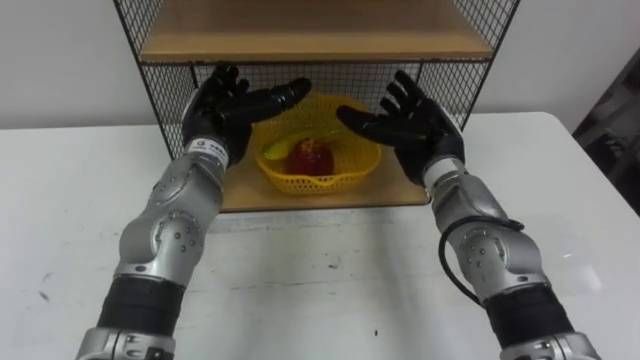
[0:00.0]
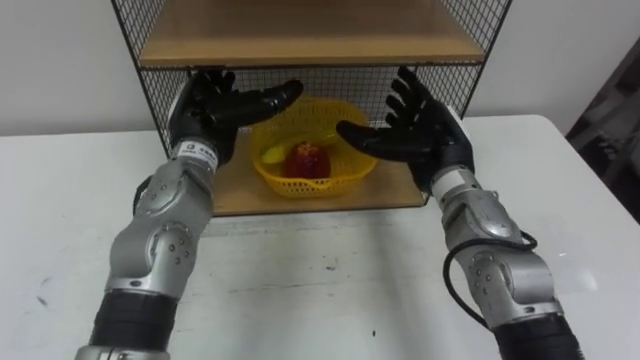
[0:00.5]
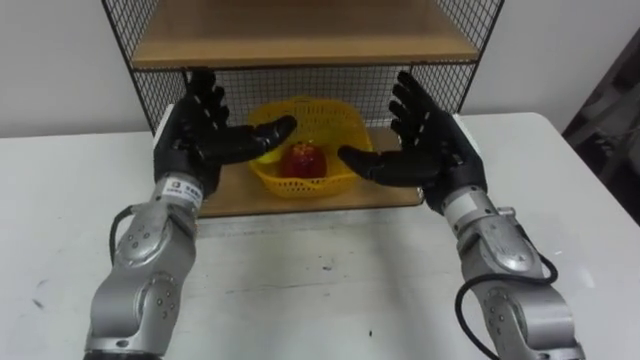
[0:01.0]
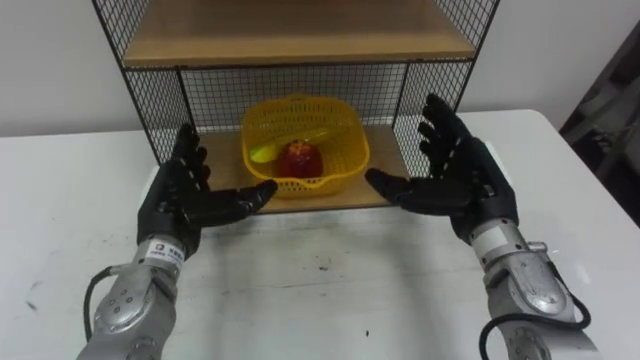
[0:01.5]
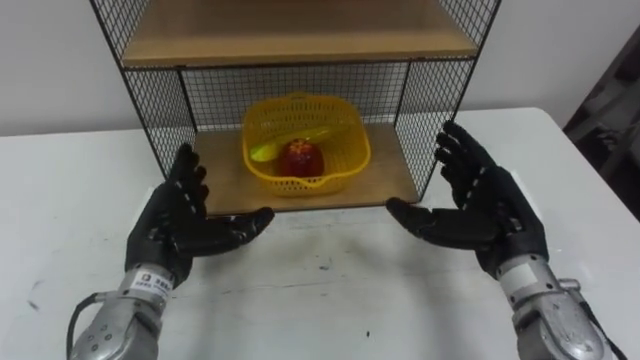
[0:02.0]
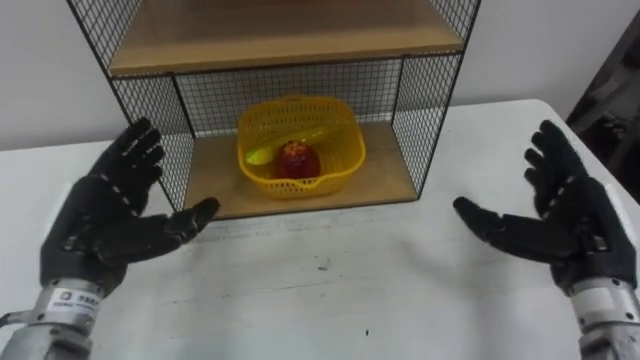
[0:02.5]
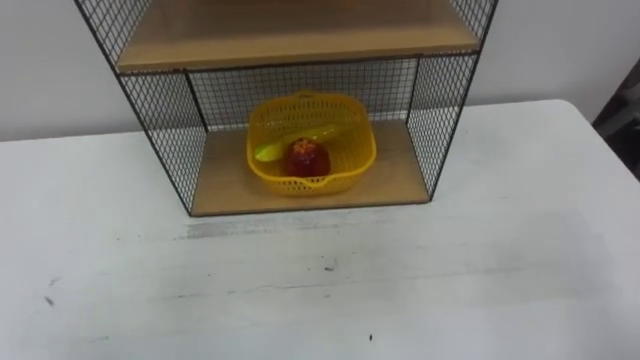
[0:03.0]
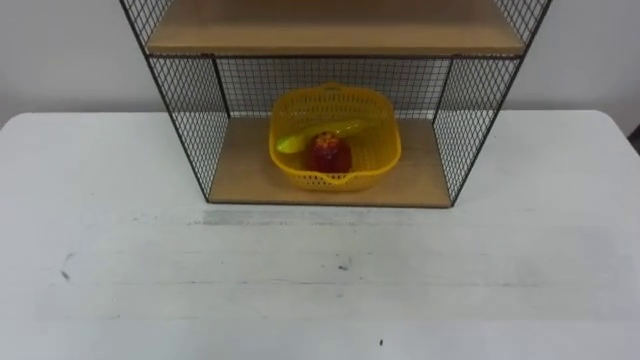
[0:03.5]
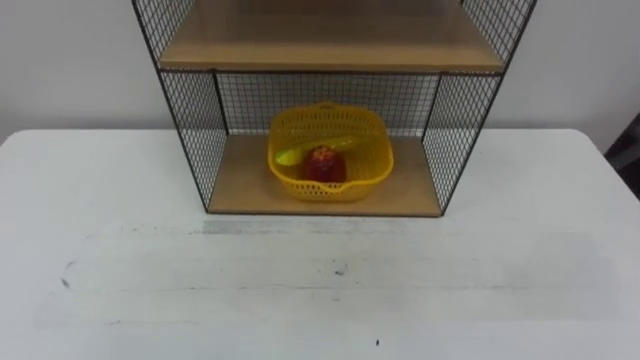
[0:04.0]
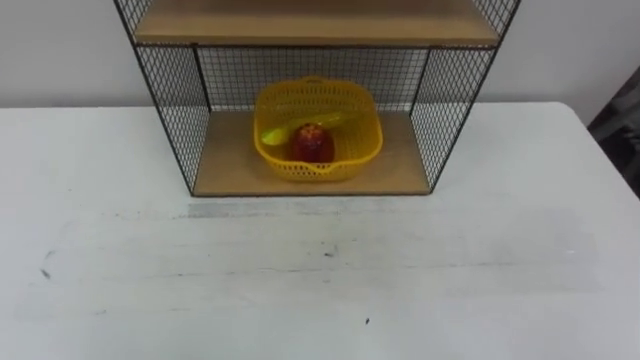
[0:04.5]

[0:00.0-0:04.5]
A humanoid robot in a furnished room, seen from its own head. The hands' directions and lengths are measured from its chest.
Task of the whole recording: Put the fruit on the table into the basket, then place the basket on the shelf.
0:00.0 to 0:02.0: The left hand travels backward, downward and to the left by approximately 15 cm; the right hand shifts roughly 15 cm backward and to the right.

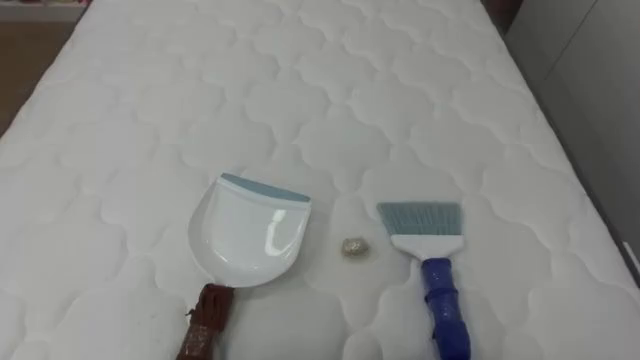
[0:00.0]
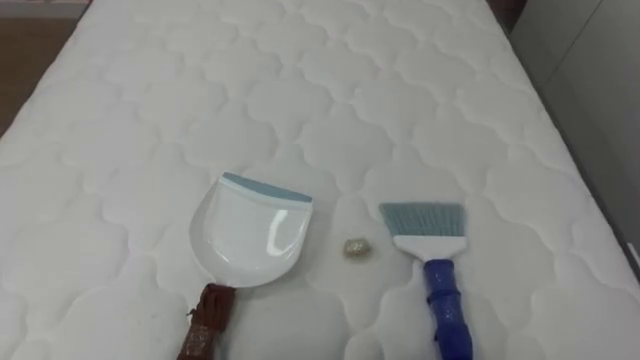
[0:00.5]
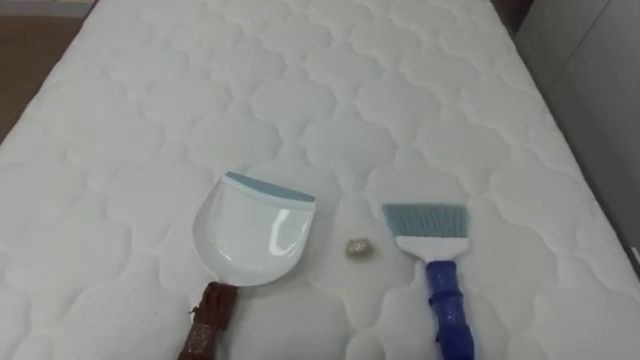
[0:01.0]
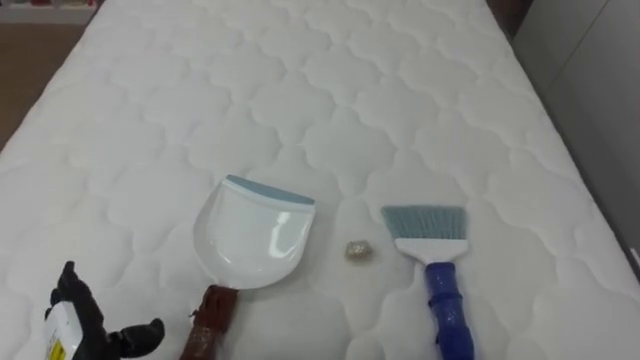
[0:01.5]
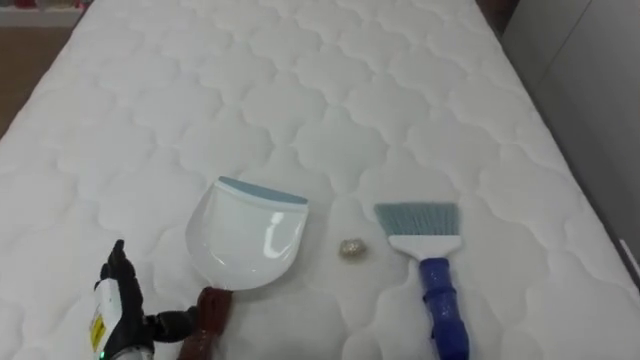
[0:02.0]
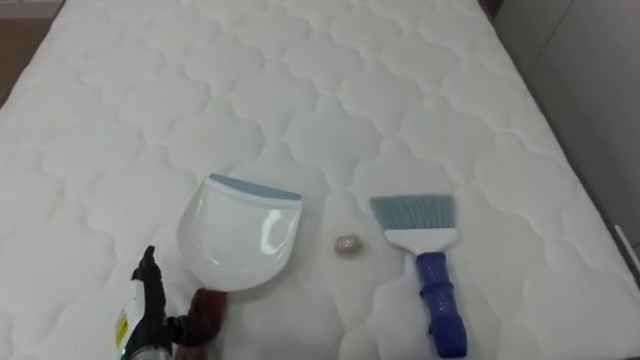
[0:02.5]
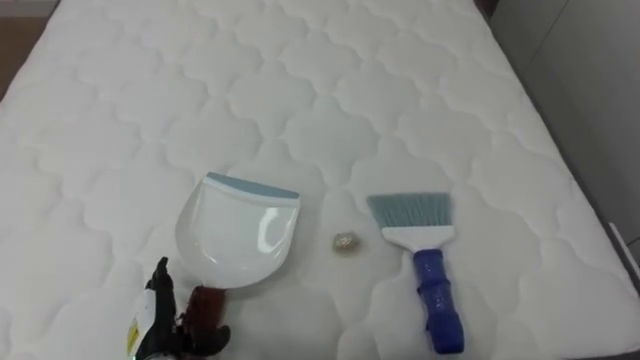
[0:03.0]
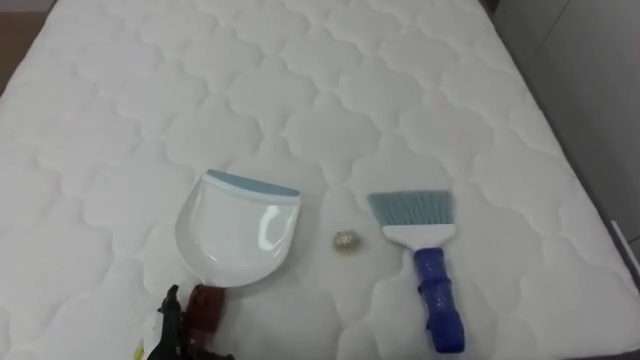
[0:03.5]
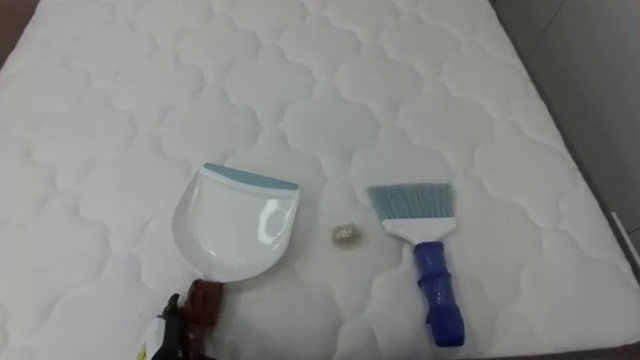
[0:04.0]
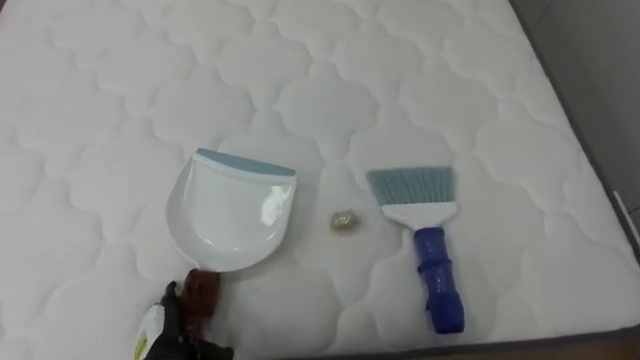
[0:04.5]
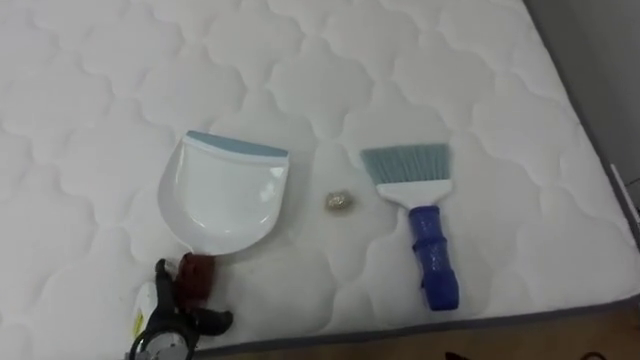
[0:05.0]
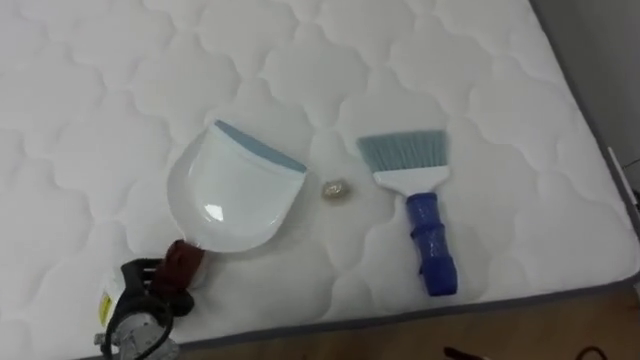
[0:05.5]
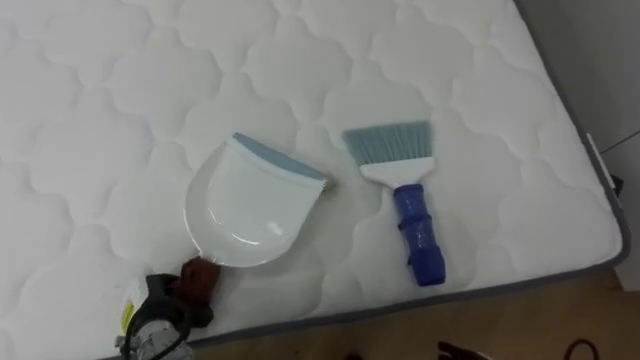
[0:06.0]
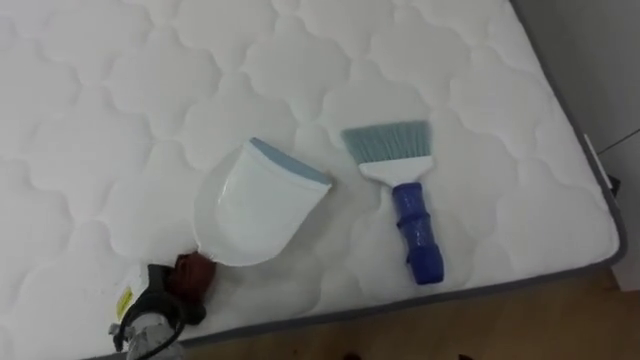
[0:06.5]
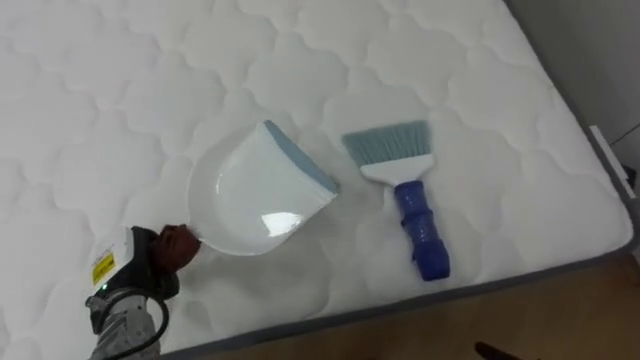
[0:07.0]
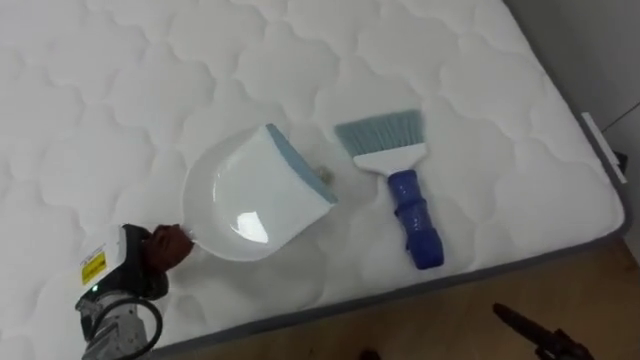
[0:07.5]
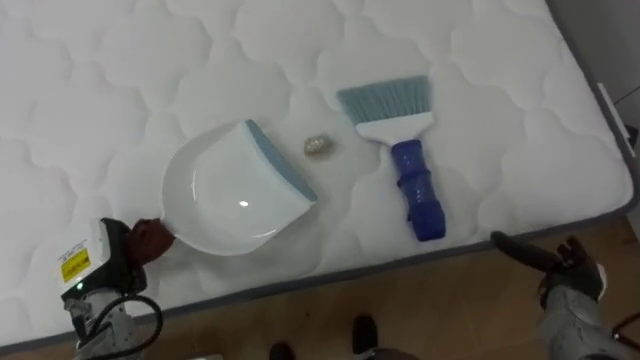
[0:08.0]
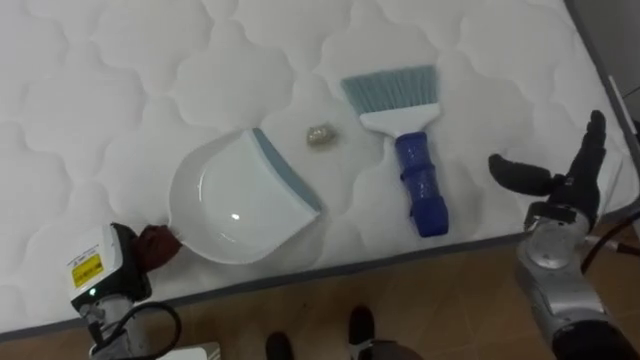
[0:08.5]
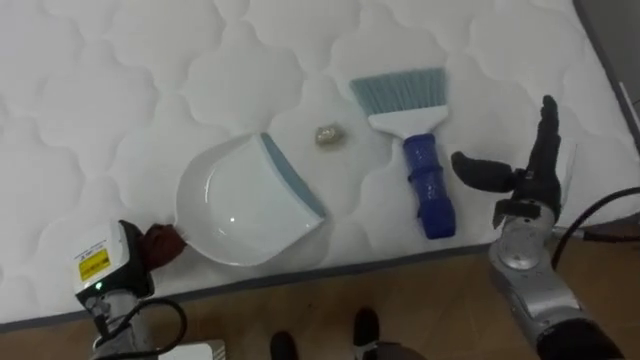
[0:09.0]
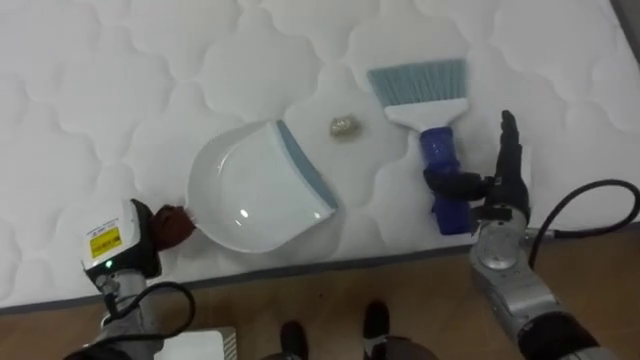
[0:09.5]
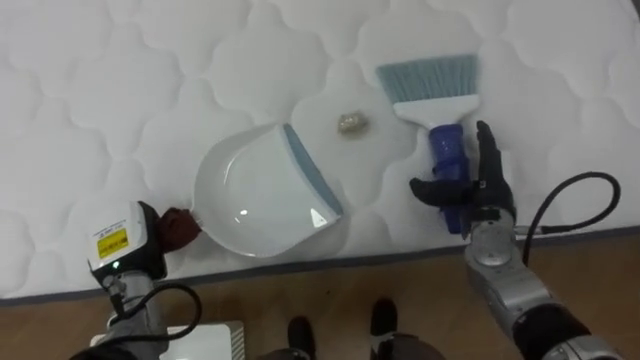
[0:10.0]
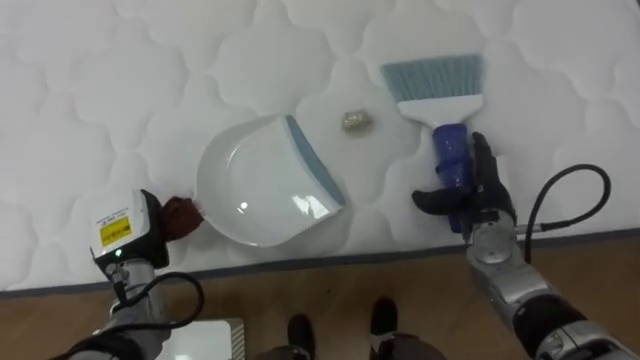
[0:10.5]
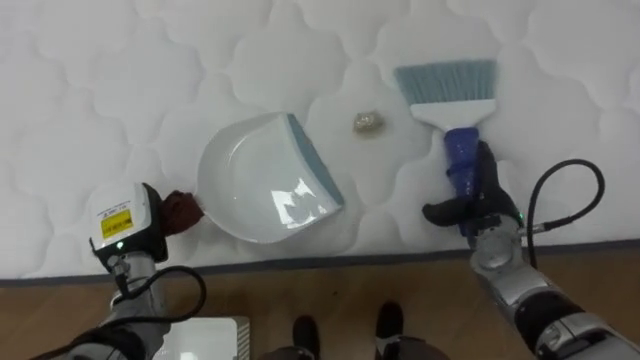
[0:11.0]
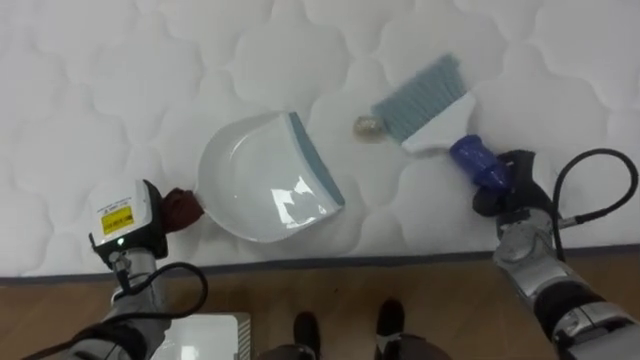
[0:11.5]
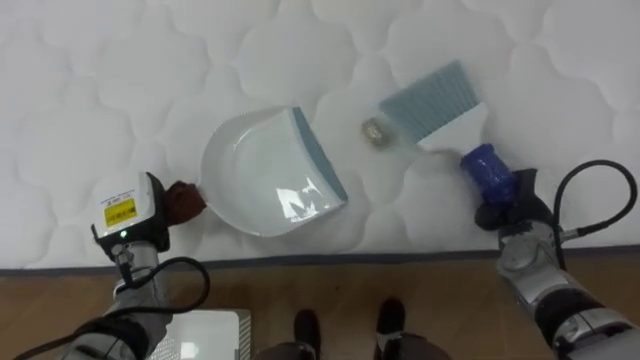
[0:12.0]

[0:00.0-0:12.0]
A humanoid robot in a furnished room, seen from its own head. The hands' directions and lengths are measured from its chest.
Task of the whole recording: Pick up the brush on your right and the dustpan on your left. Use the brush to sweep the crumpled paper on the bed into the dustpan, then turn left and empty it into the basket.
0:04.0 to 0:06.0: The left hand goes about 5 cm forward, and closes its fingers.
0:06.0 to 0:08.0: The left hand travels upward and to the left by roughly 10 cm.
0:08.0 to 0:10.0: The right hand shifts some 20 cm to the left, forward and upward.
0:10.0 to 0:12.0: The right hand moves to the right, some 5 cm, and closes.

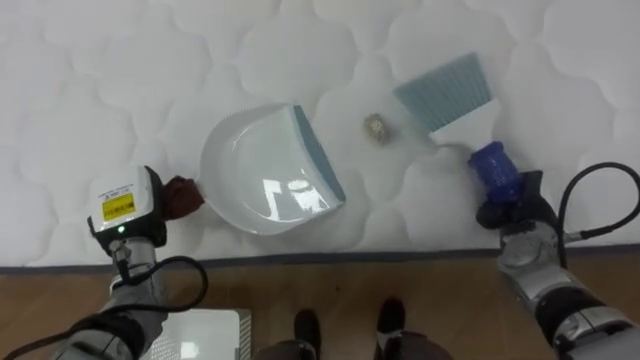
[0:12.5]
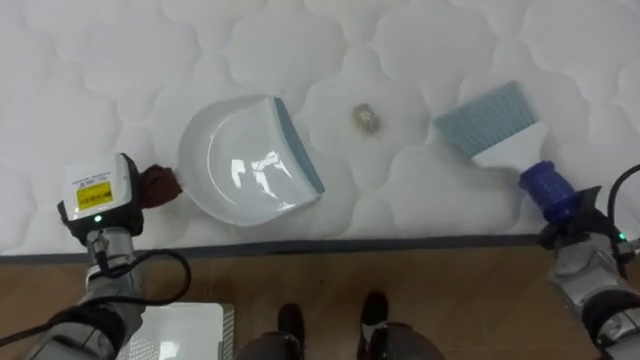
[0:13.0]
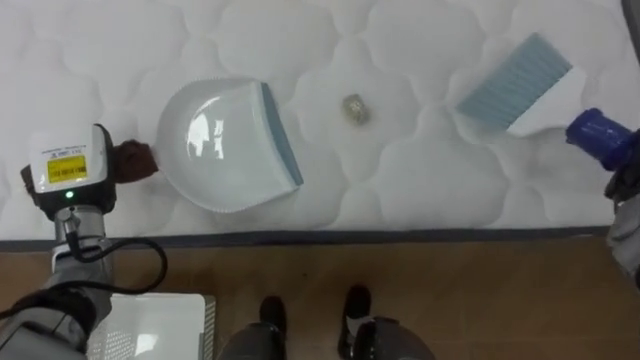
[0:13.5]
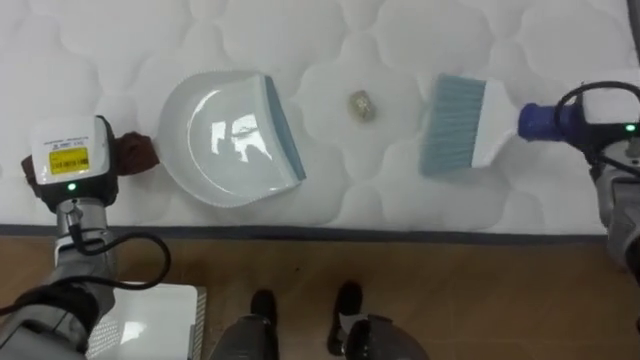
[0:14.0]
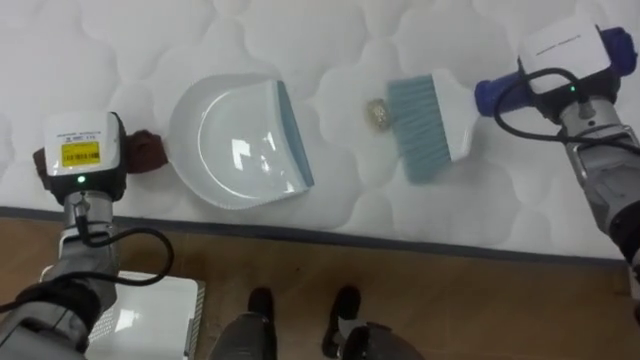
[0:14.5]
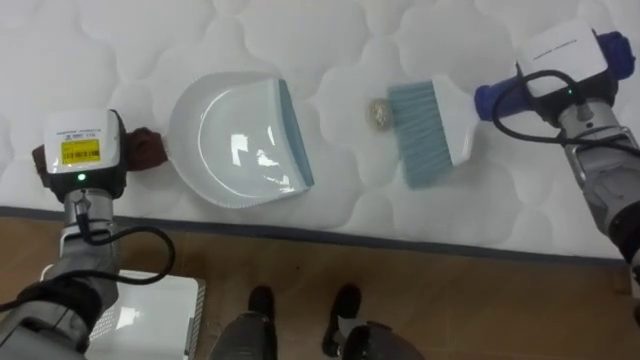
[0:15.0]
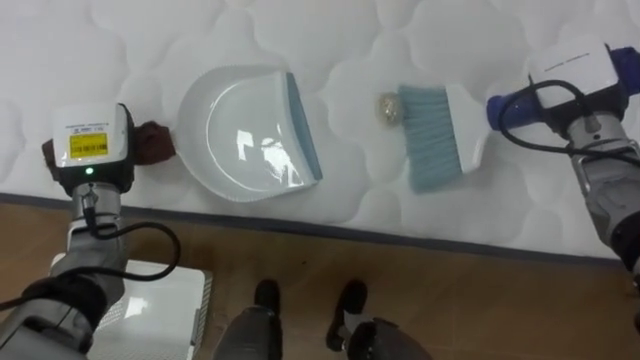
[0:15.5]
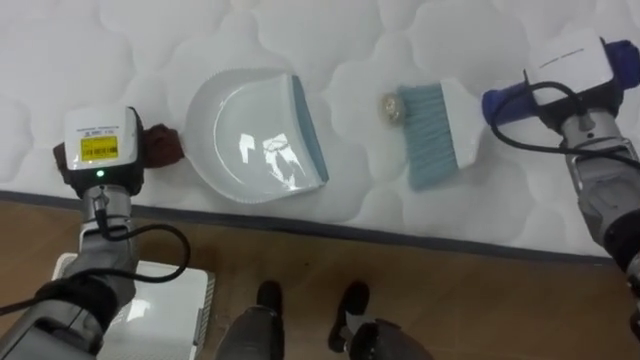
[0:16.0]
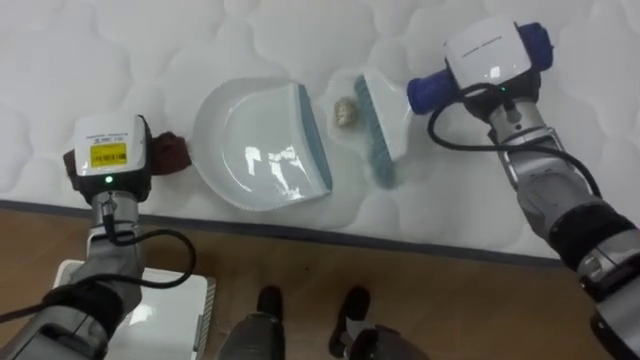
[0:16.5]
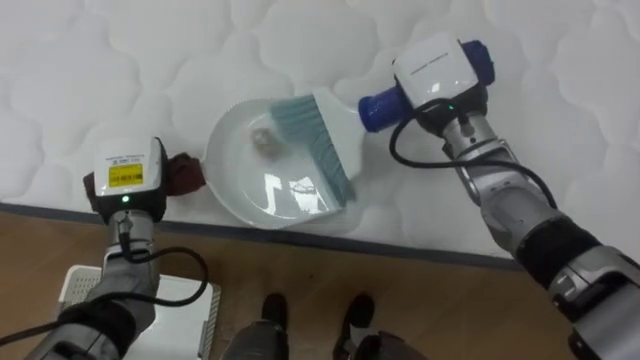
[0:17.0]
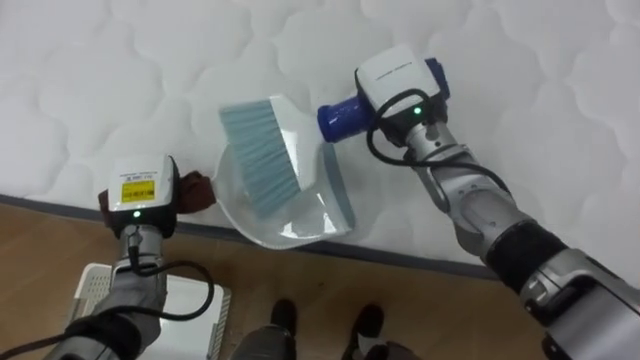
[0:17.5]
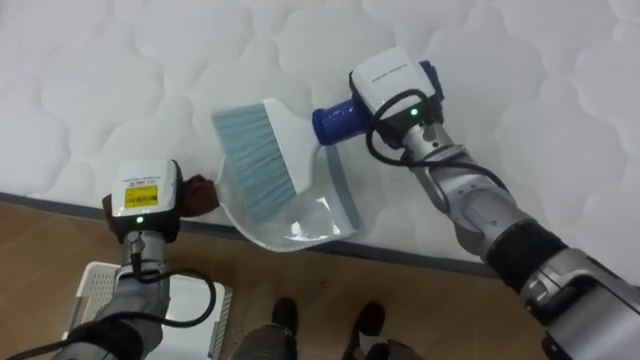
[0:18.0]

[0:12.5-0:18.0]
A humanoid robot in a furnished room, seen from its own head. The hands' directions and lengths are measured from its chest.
Task of the whole recording: Pick up the brush on your right and the dustpan on your left. Use the brush to sweep the crumpled paper on the bed into the dustpan, then turn left and empty it into the basket.
0:12.5 to 0:14.5: The left hand goes about 5 cm upward.
0:16.0 to 0:18.0: The right hand shifts roughly 20 cm to the left. The left hand travels downward by approximately 5 cm.
